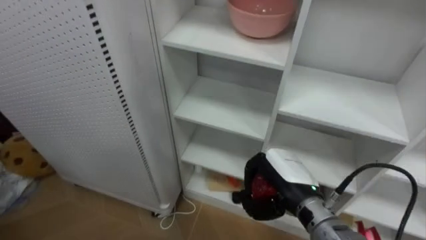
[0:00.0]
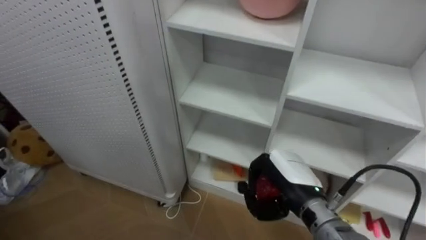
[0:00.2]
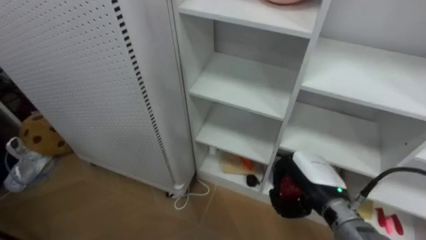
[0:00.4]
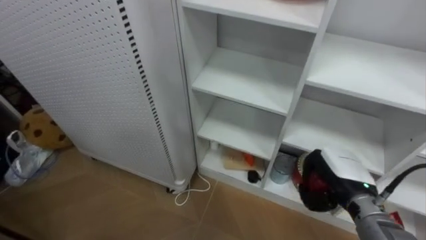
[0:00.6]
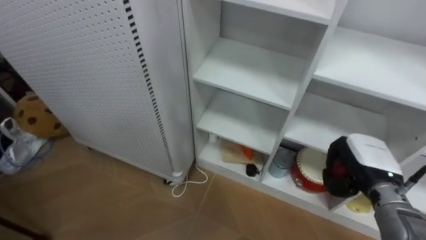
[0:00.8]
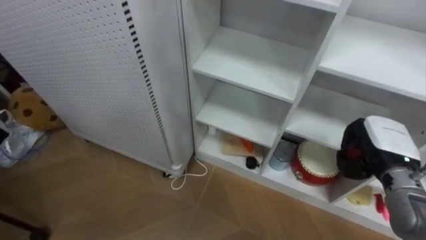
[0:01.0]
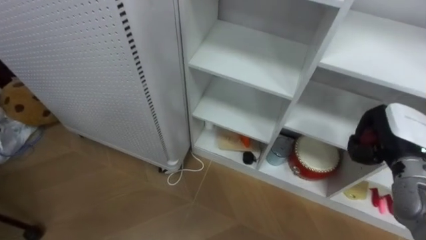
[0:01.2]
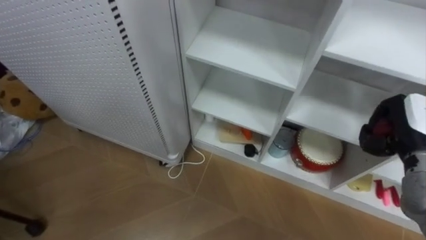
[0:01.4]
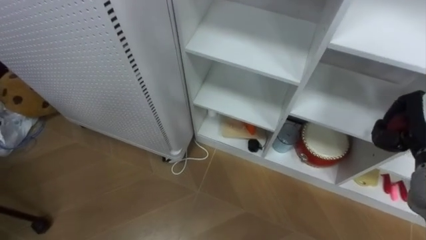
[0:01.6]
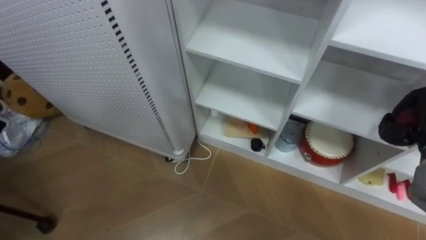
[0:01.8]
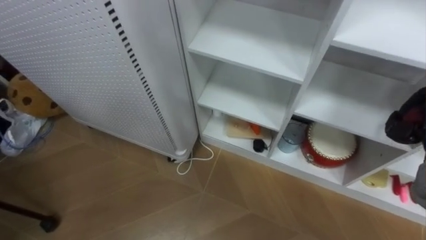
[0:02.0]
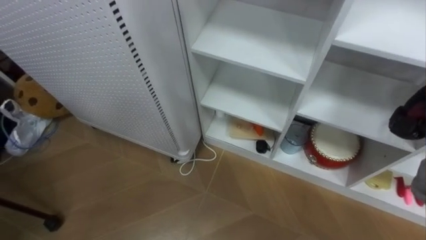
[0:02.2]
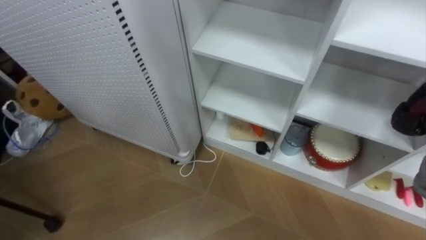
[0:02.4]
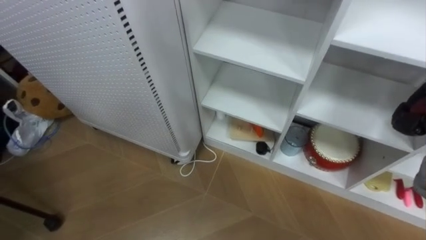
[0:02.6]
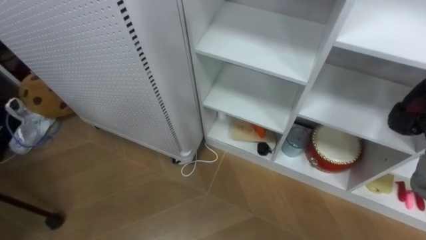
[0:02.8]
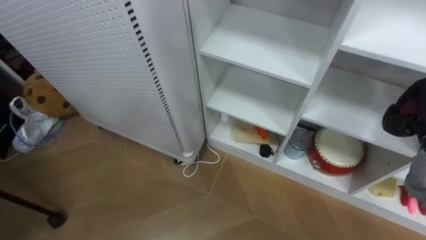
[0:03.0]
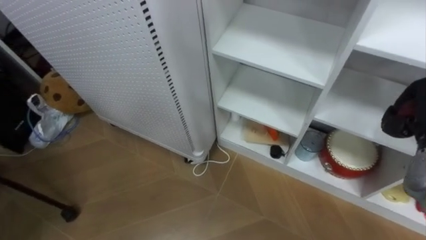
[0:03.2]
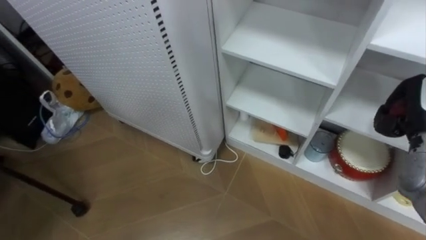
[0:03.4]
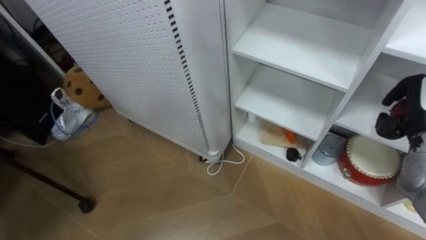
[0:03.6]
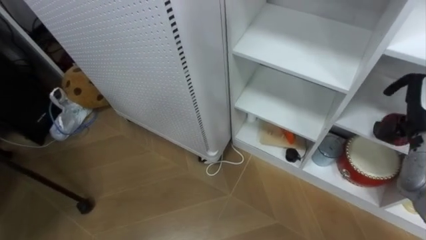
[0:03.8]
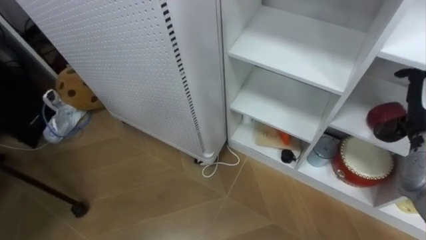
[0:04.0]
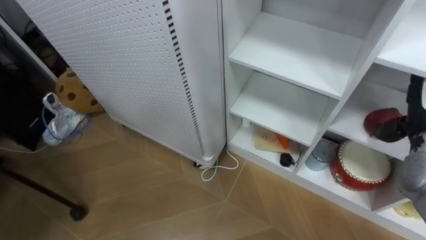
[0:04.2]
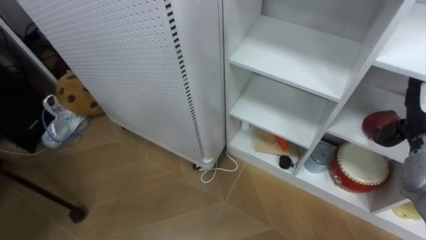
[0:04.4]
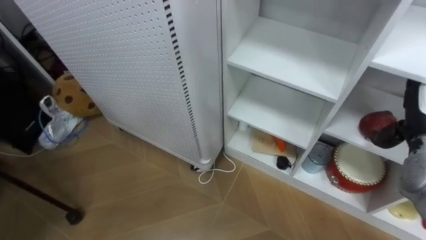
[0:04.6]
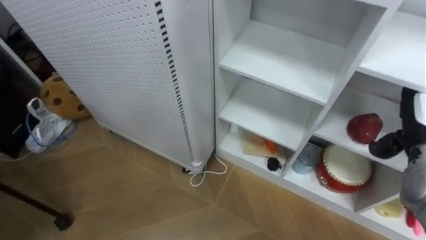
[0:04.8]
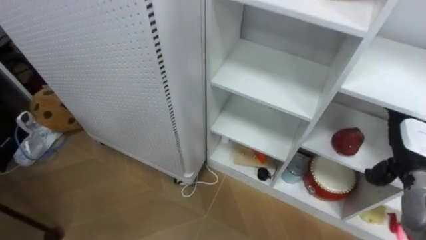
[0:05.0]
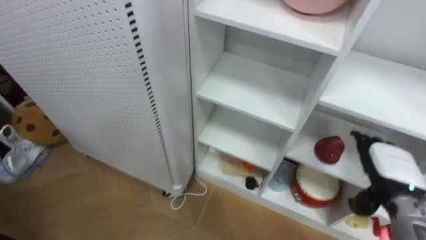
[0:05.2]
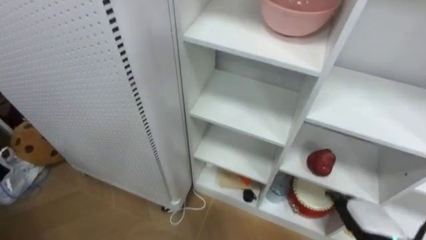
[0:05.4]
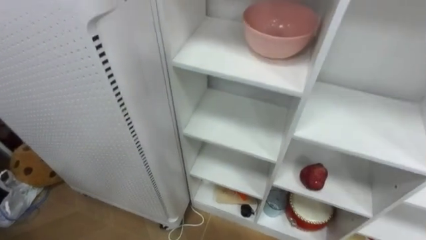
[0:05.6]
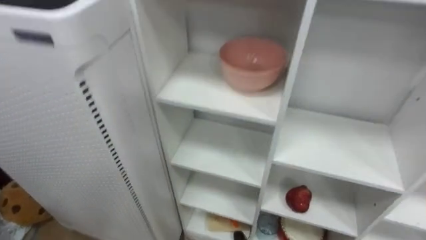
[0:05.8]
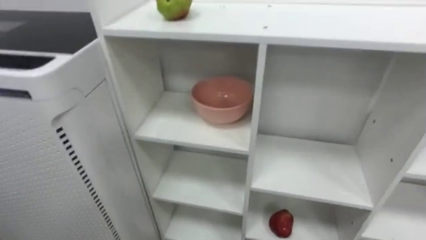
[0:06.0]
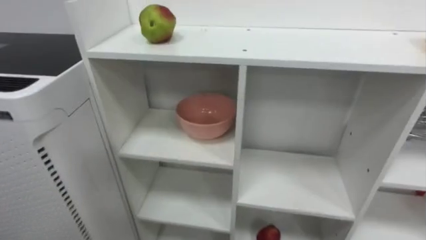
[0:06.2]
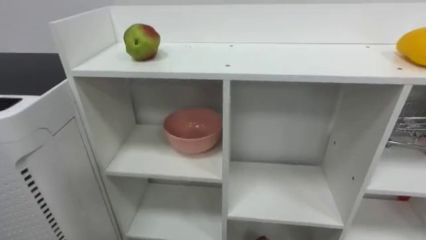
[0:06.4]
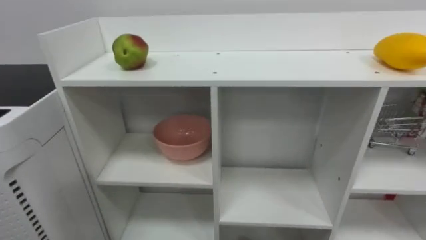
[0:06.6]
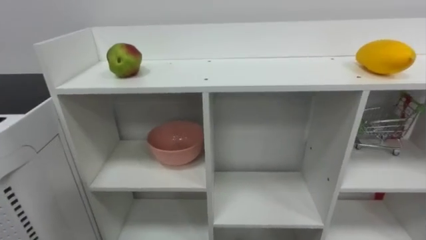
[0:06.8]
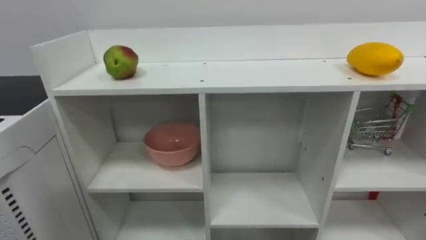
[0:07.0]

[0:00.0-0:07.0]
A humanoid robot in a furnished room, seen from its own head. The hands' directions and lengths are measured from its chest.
Task of the whole recording: Put the apple in the cell in the second column from the left and the second row from the top.
0:00.0 to 0:01.4: The right hand travels to the right by roughly 20 cm.

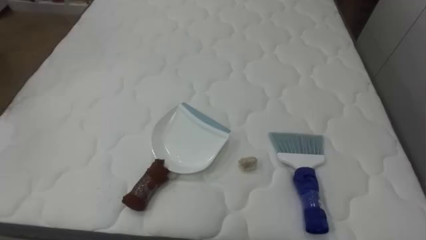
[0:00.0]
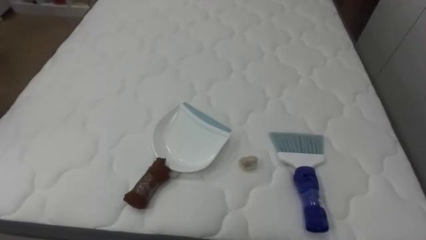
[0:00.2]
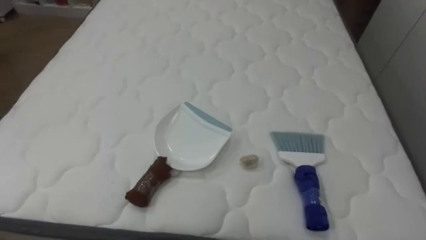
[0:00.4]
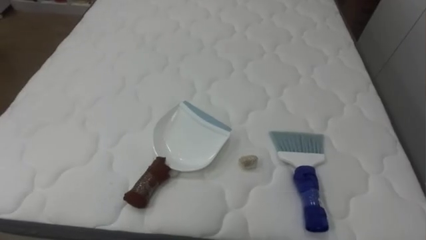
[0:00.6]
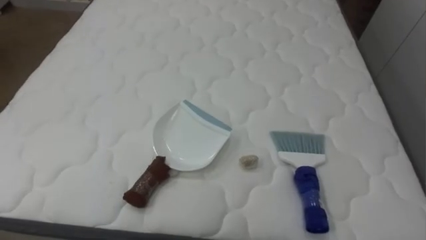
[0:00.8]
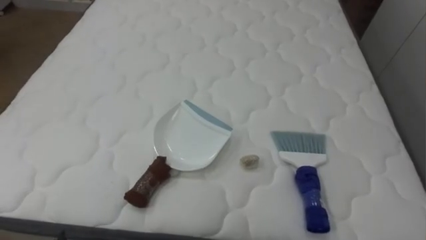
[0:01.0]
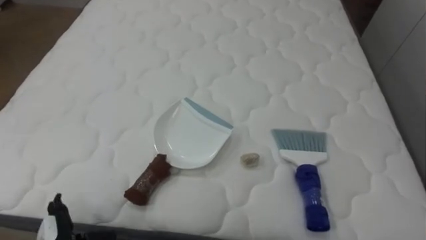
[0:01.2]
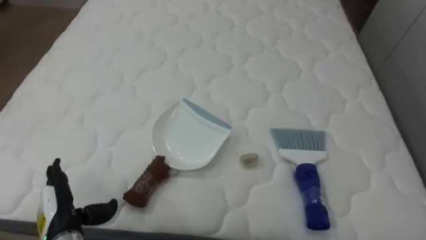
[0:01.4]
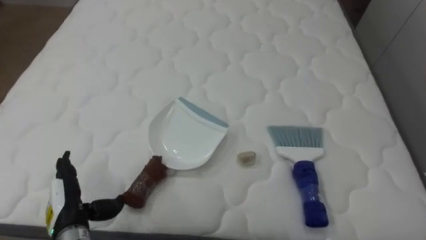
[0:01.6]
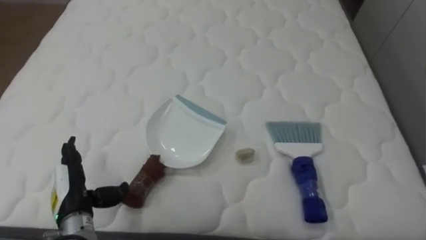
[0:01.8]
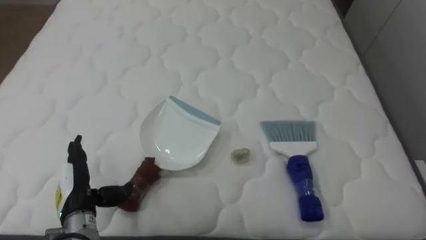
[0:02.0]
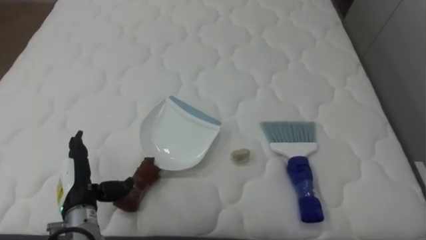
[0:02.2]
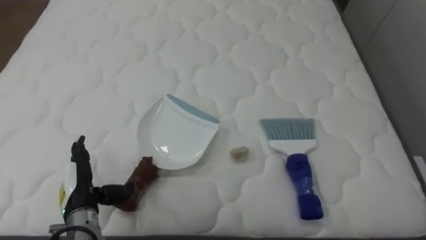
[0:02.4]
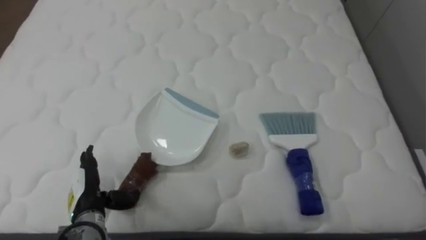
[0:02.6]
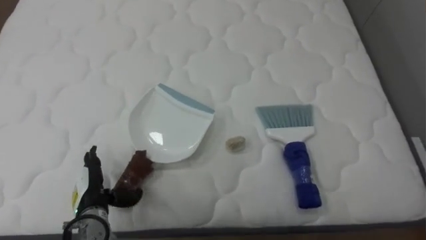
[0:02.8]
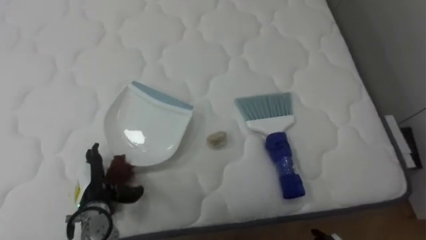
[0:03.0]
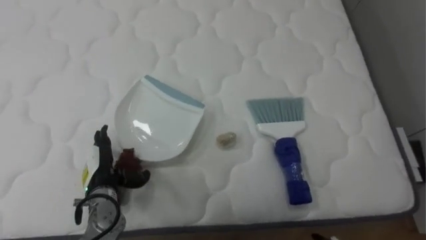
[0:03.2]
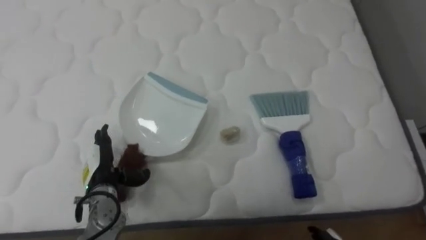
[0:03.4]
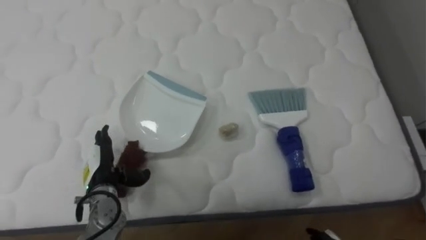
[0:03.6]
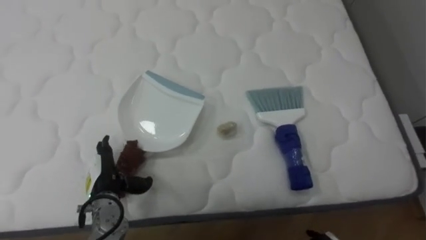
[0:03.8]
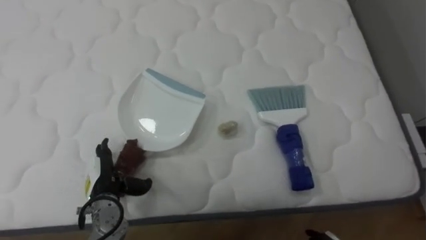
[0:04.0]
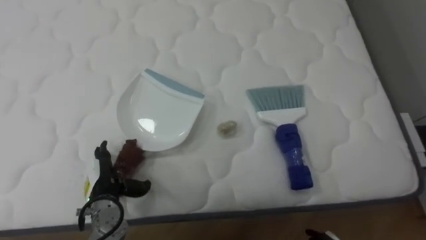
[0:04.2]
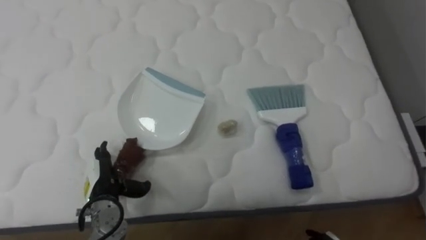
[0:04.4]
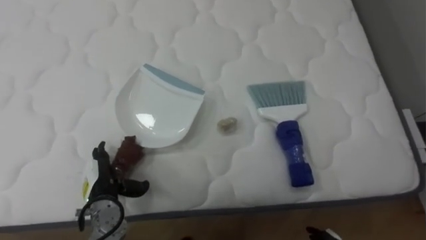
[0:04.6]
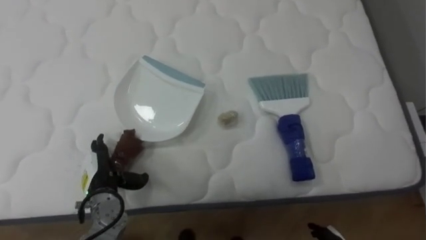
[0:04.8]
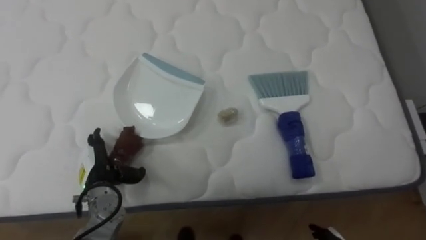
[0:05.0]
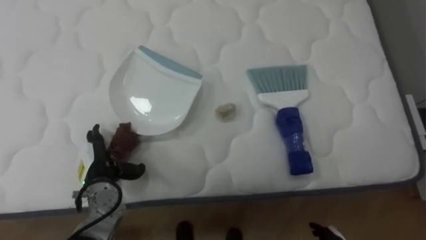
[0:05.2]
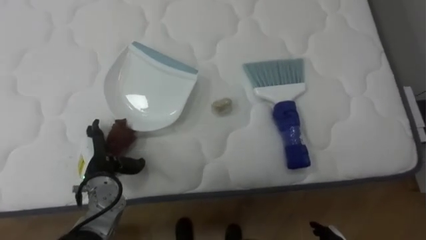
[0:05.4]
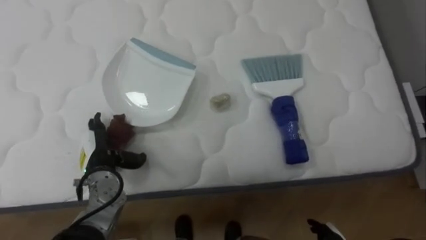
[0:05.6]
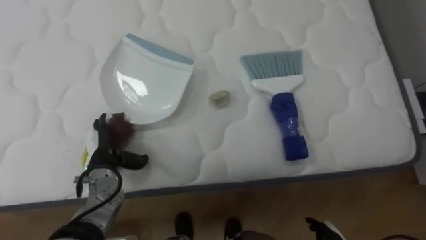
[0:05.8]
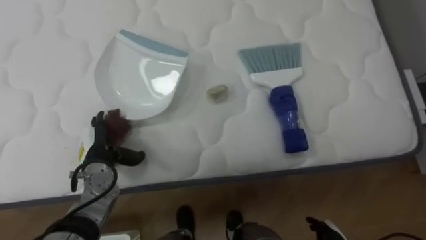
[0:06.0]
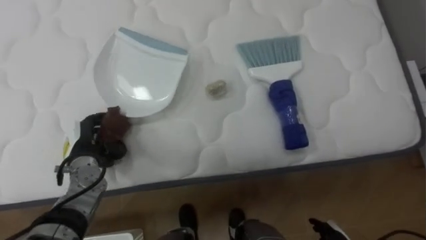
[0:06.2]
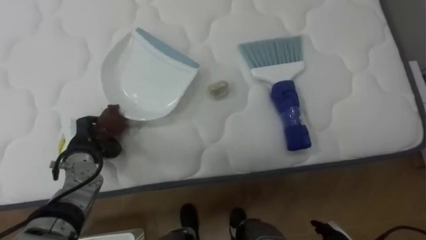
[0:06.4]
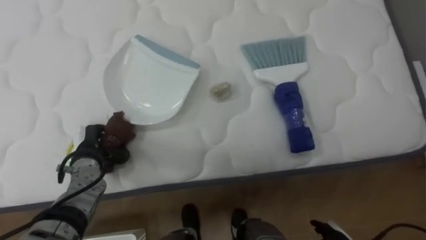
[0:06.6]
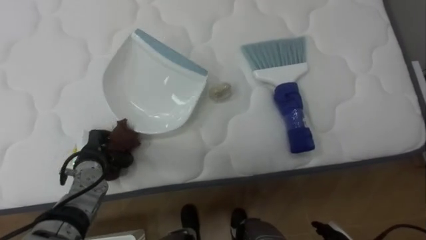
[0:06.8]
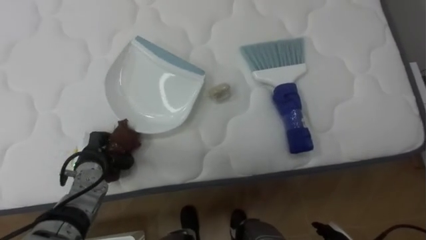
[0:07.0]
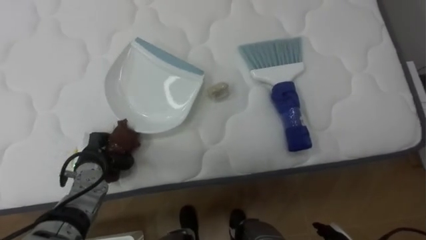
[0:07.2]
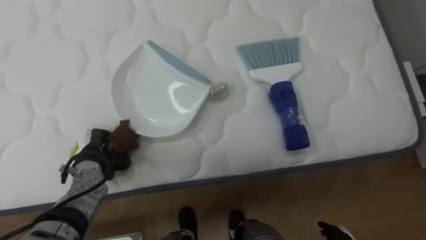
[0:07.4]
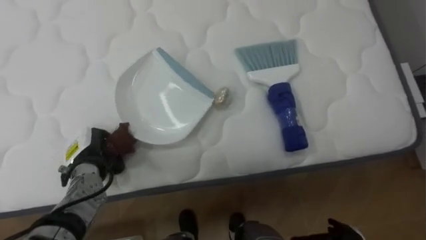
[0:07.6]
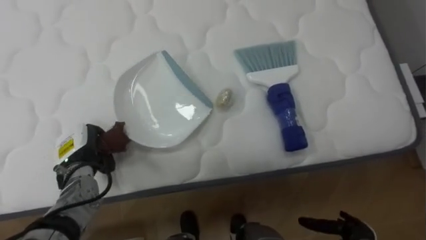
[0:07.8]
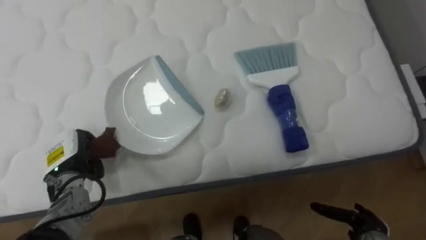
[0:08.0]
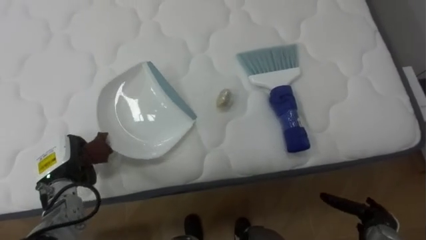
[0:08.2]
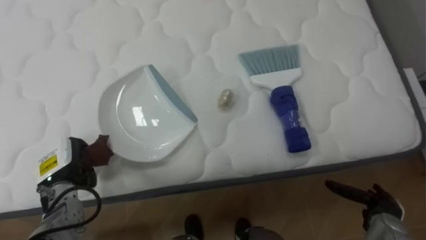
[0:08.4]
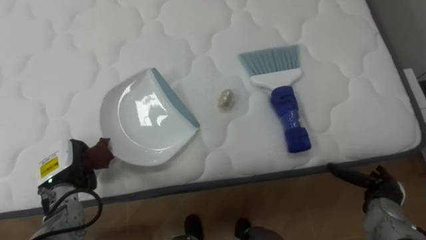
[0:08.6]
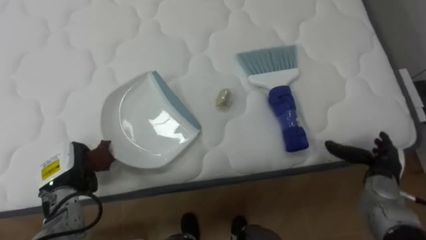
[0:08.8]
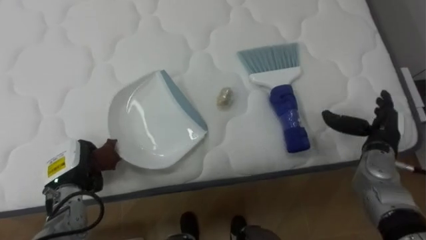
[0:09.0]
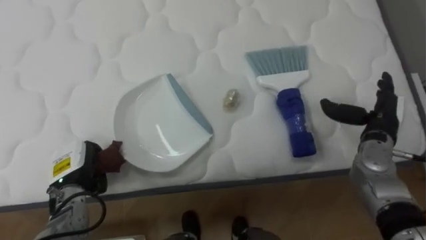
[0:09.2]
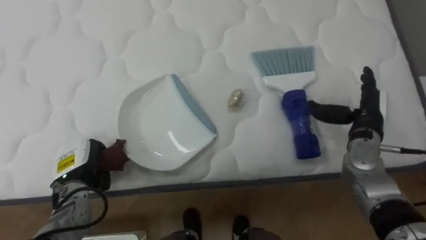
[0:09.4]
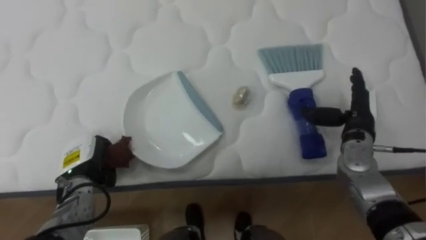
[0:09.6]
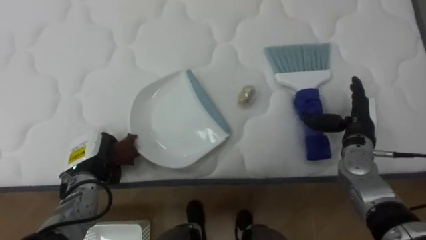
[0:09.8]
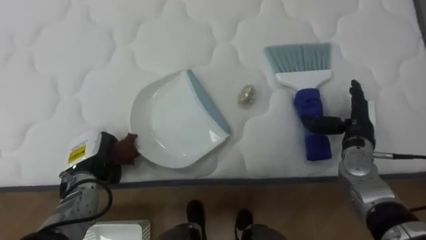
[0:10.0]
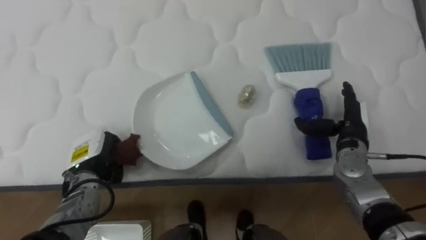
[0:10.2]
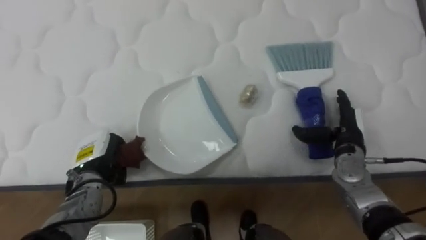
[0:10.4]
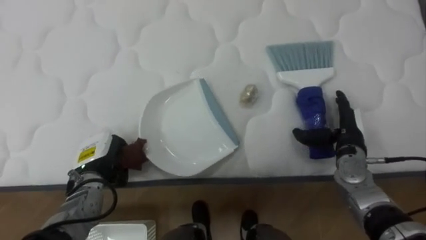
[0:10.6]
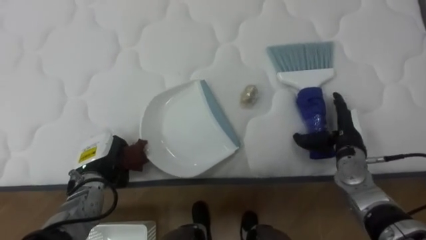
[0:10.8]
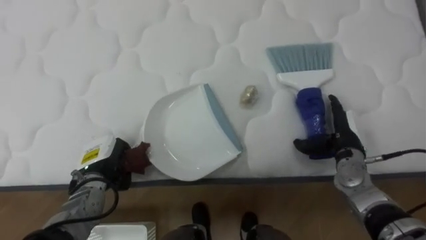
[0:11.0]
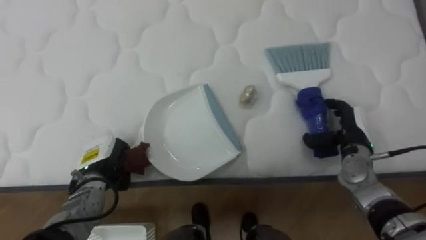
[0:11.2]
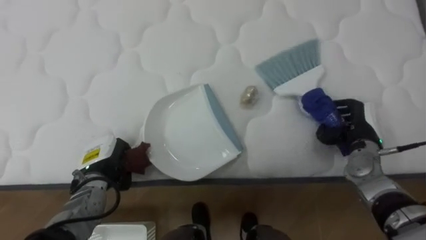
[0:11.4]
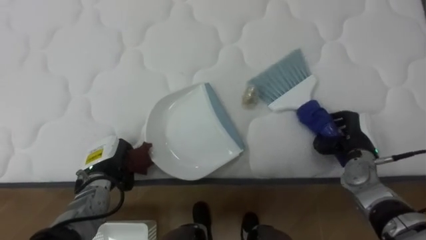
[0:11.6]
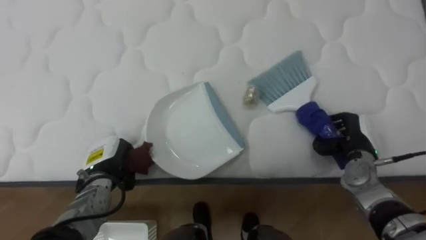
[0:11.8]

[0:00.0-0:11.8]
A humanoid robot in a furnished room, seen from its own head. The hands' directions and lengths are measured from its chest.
Task of the whole recording: Pick up the brush on your right and the dustpan on your left. Use the brush to sweep the crumpled paper on the bed into the dustpan, then turn left and empty it into the basket.
0:01.4 to 0:03.0: The left hand heads forward, covering roughly 5 cm.
0:04.4 to 0:06.0: The left hand moves forward, some 5 cm.
0:06.0 to 0:07.4: The left hand closes up.
0:07.4 to 0:08.8: The left hand changes place by roughly 5 cm.
0:08.8 to 0:10.4: The left hand is displaced to the right by some 5 cm; the right hand heads to the left and forward, covering about 10 cm.
0:10.4 to 0:11.8: The right hand closes.
